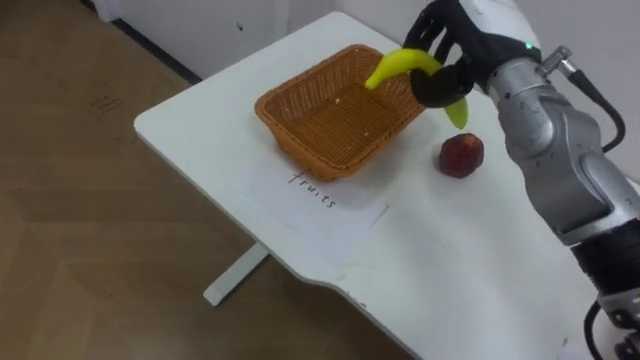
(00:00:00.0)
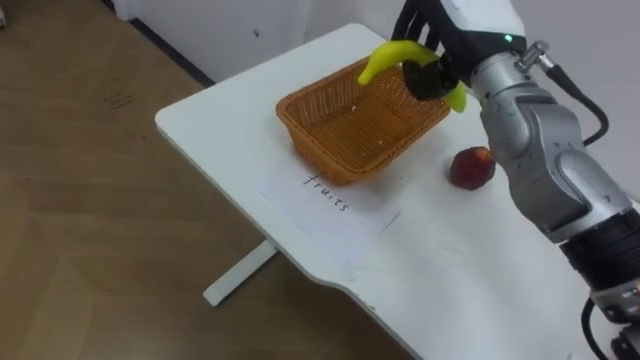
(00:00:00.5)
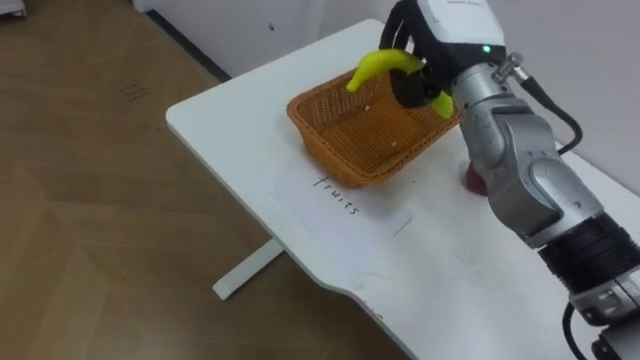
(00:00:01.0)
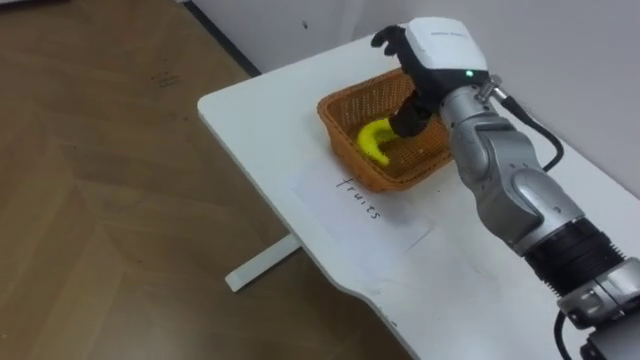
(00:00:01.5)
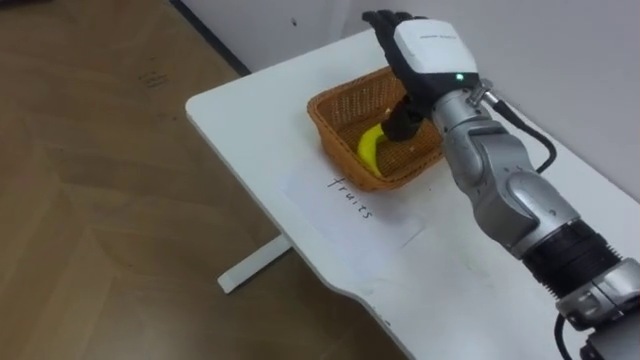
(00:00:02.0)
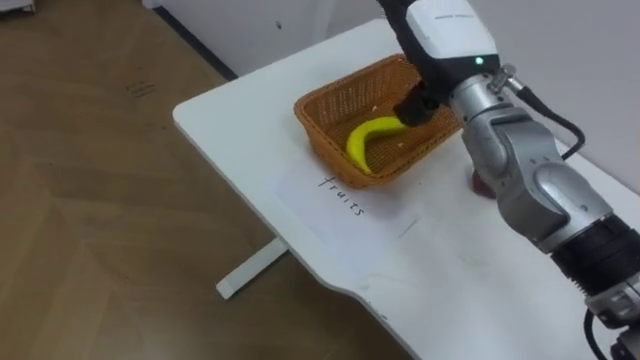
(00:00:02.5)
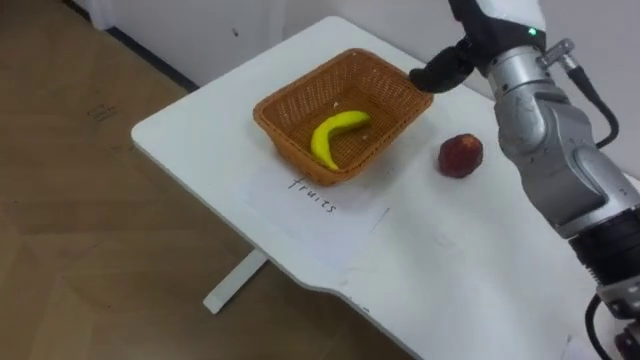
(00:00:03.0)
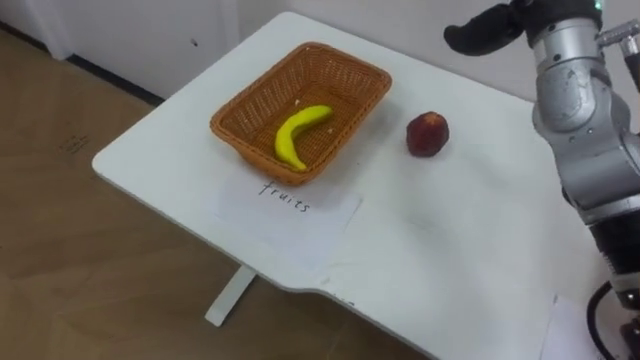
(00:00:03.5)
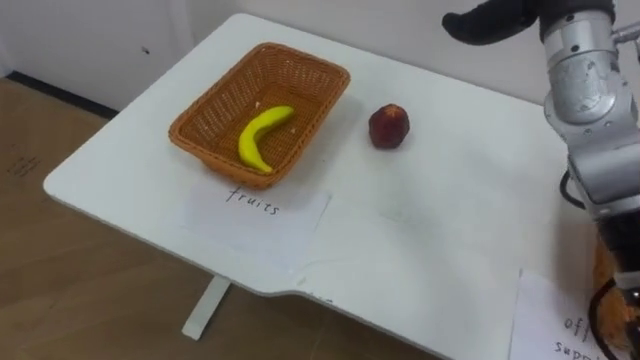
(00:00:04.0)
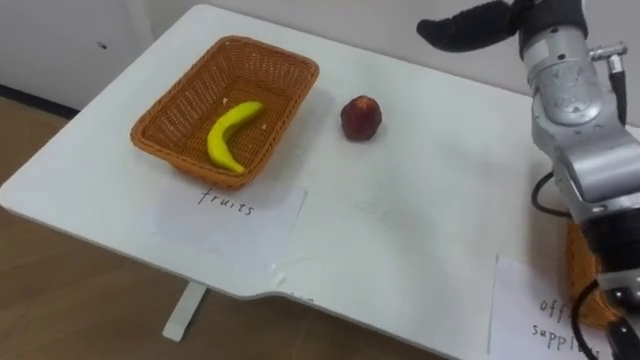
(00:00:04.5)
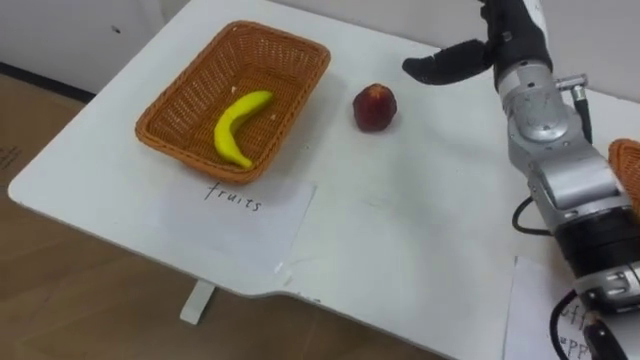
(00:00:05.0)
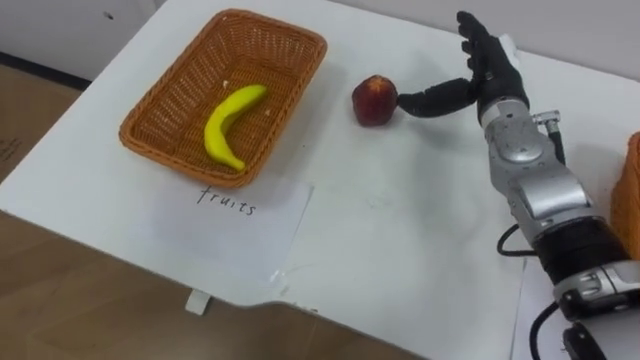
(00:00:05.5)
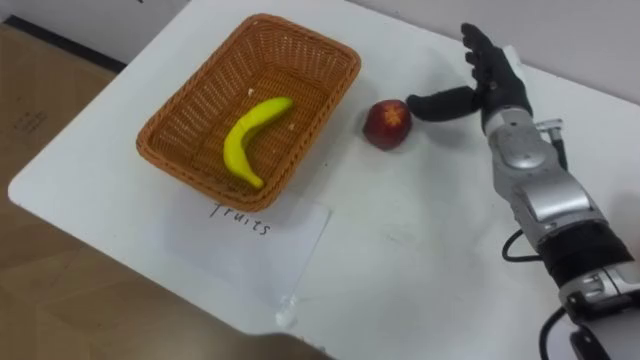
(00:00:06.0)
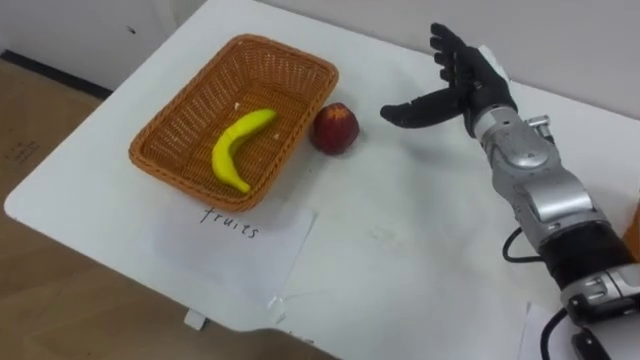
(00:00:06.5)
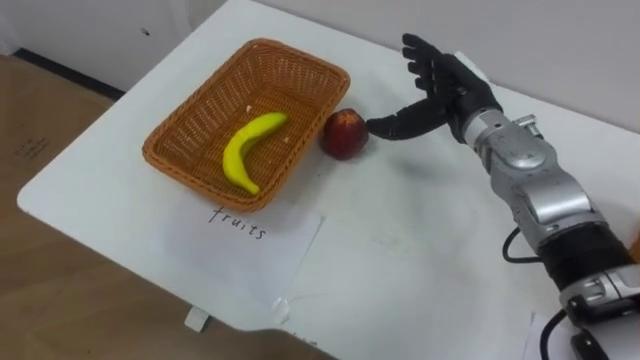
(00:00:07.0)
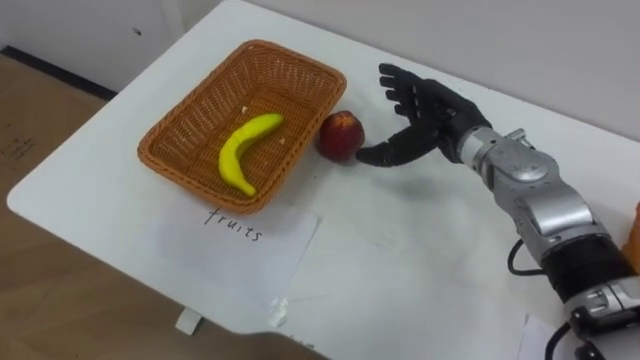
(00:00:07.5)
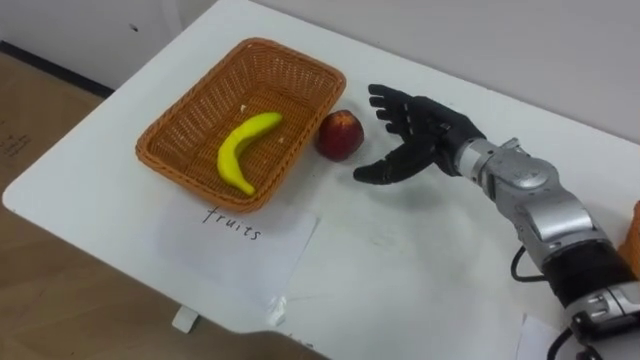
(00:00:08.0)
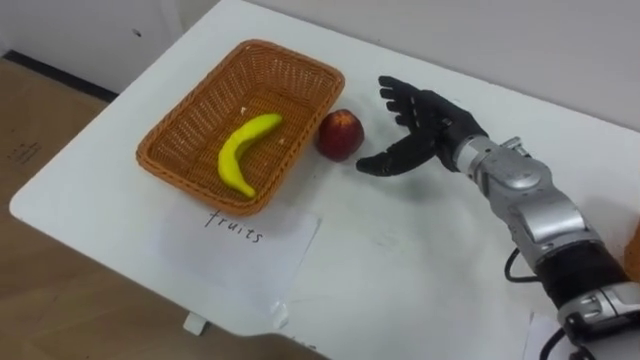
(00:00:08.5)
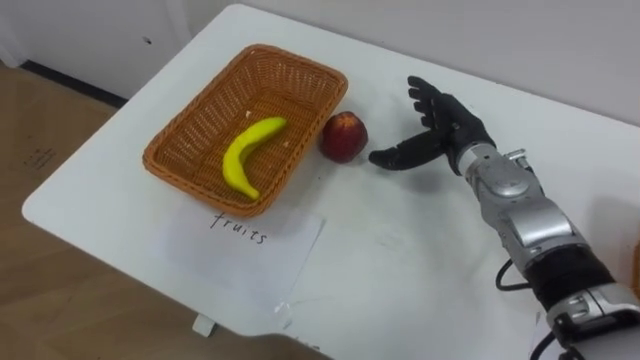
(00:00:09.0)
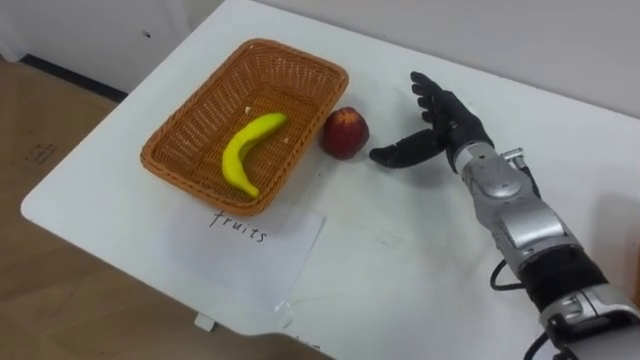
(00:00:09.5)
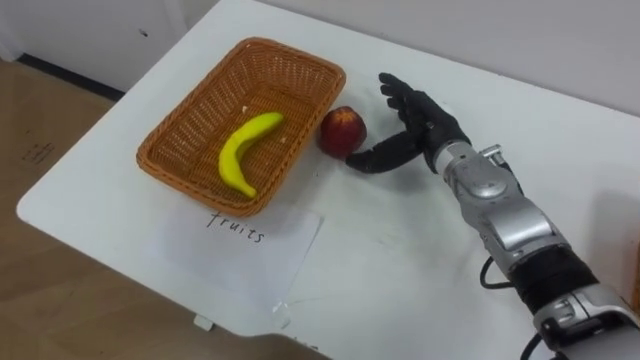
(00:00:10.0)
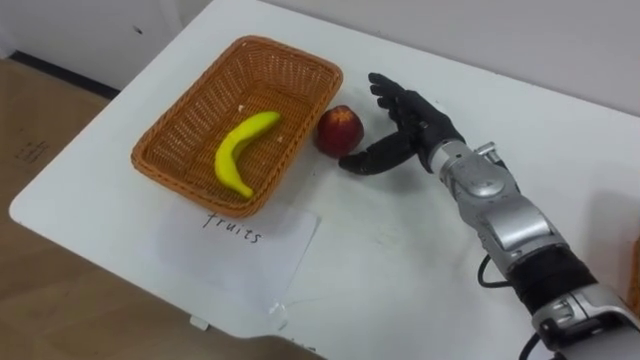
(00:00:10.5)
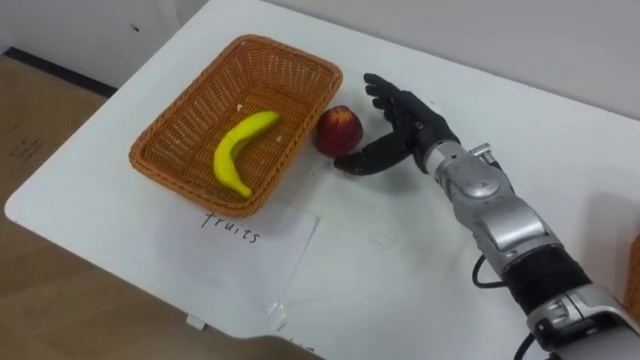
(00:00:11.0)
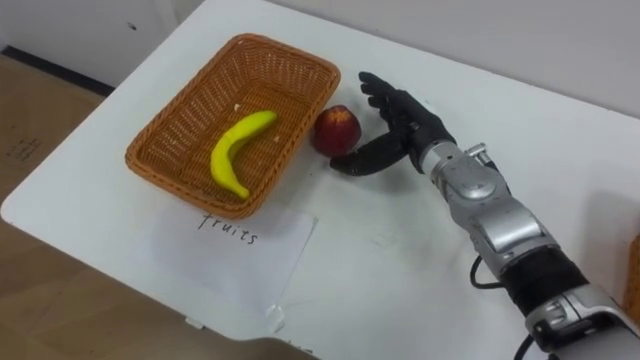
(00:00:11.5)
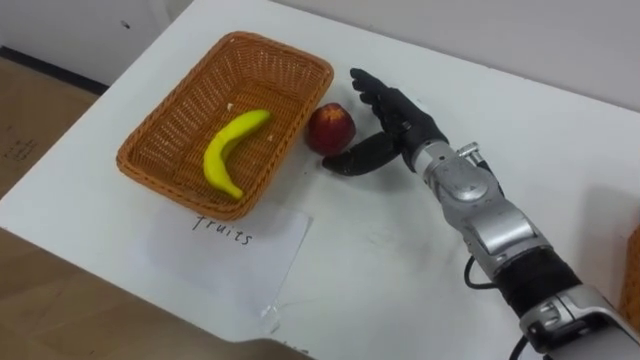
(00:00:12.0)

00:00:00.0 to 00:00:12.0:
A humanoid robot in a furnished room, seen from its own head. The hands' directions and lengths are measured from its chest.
Task of the whole recording: Separate the items on the table and place them into the two baskets.
00:00:00.0 to 00:00:02.0: The right hand heads to the left, covering approximately 5 cm, and opens its fingers.
00:00:06.0 to 00:00:08.0: The right hand is displaced to the left by some 5 cm.

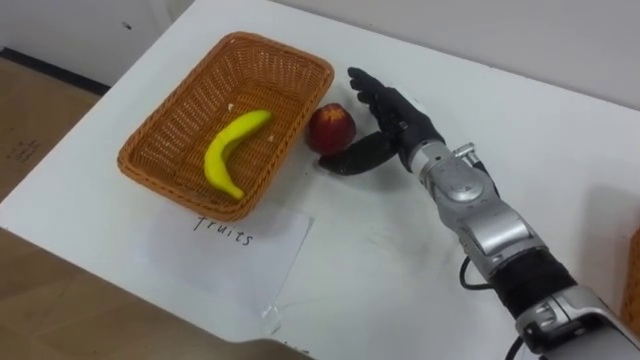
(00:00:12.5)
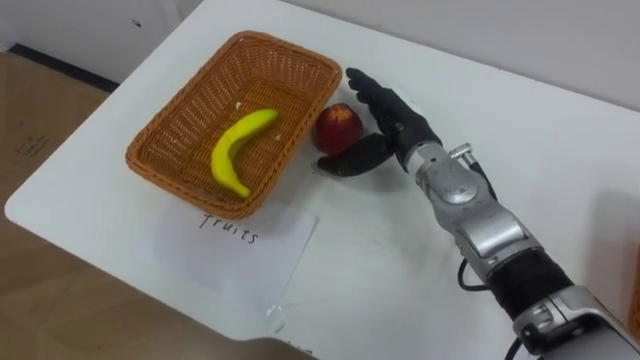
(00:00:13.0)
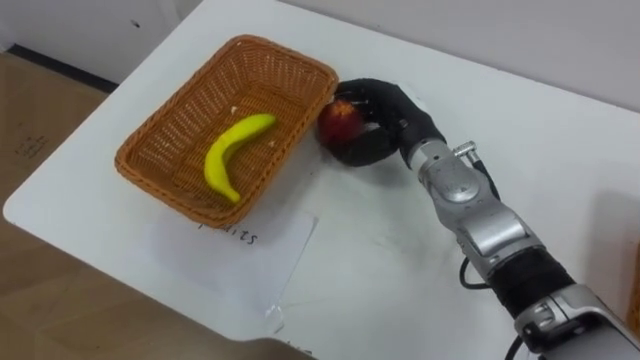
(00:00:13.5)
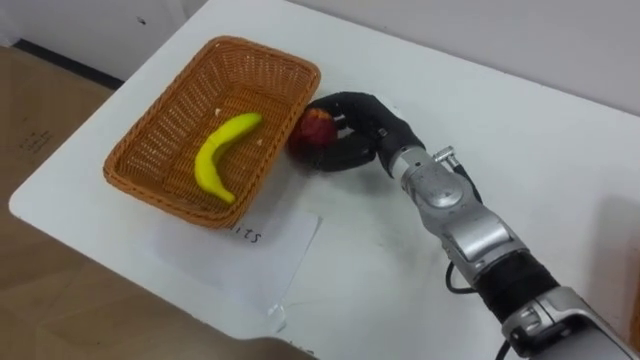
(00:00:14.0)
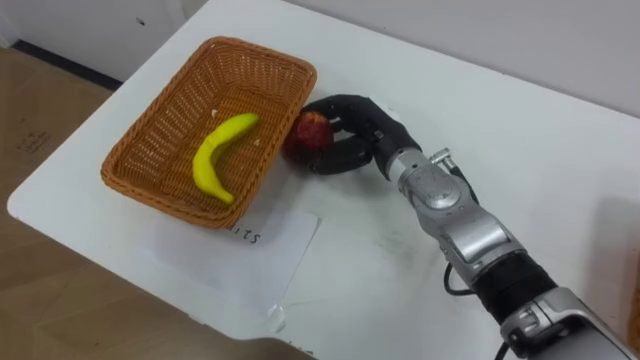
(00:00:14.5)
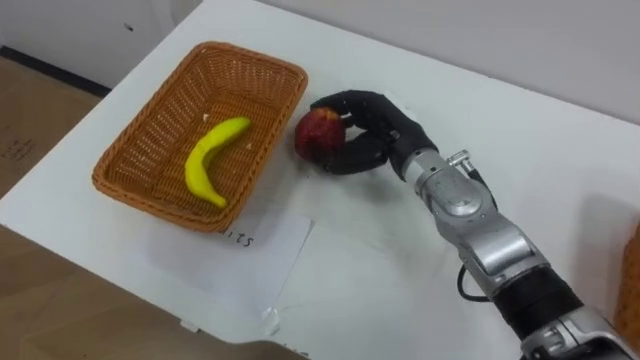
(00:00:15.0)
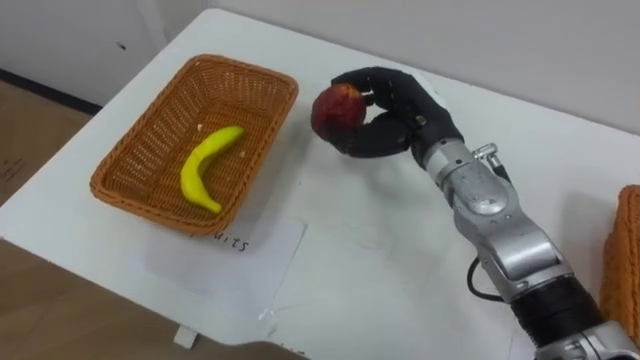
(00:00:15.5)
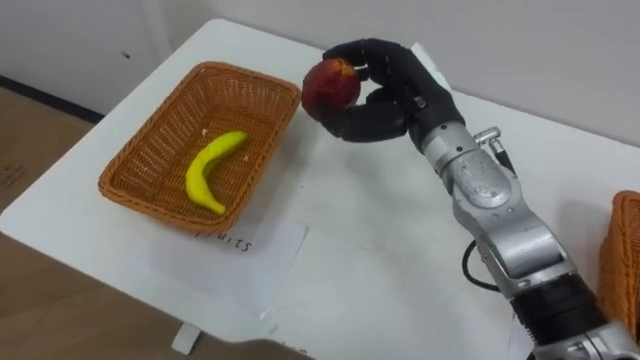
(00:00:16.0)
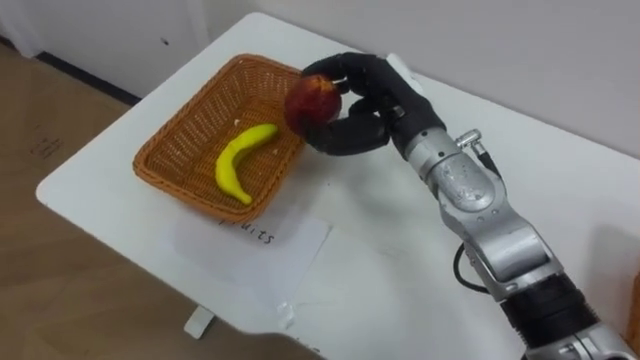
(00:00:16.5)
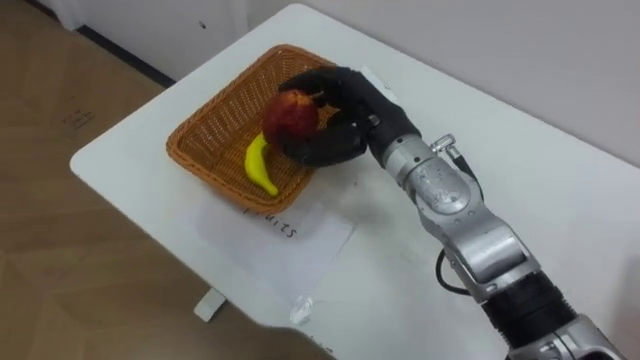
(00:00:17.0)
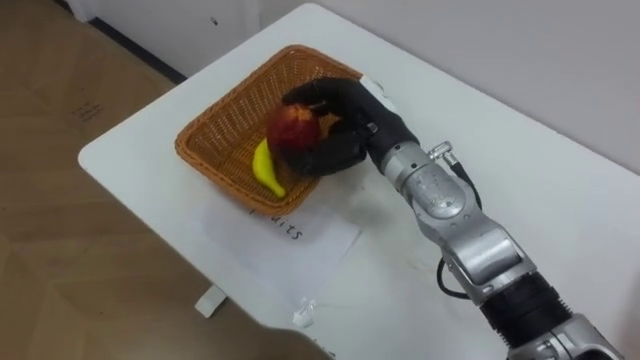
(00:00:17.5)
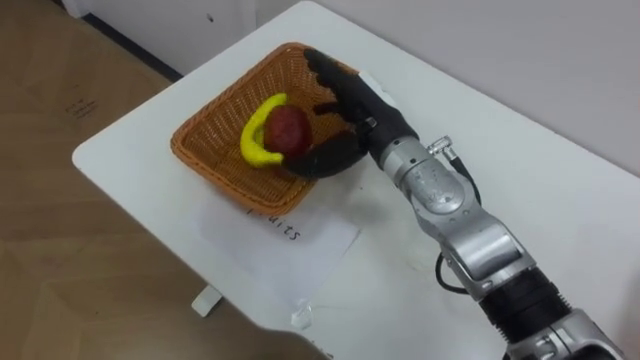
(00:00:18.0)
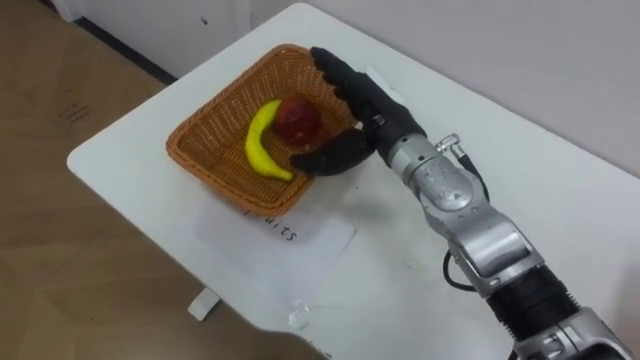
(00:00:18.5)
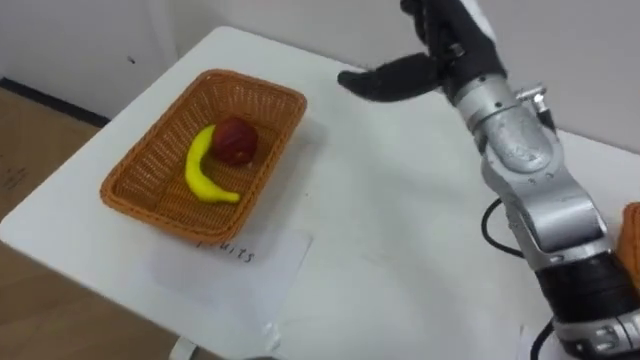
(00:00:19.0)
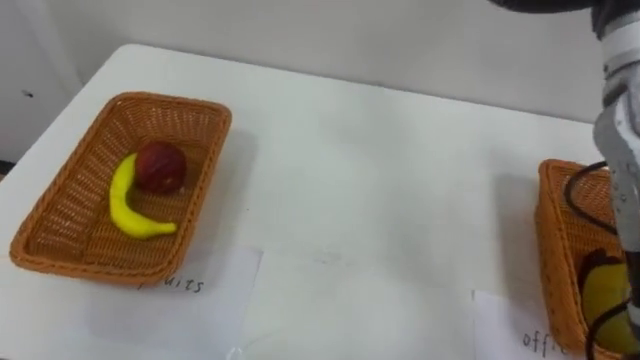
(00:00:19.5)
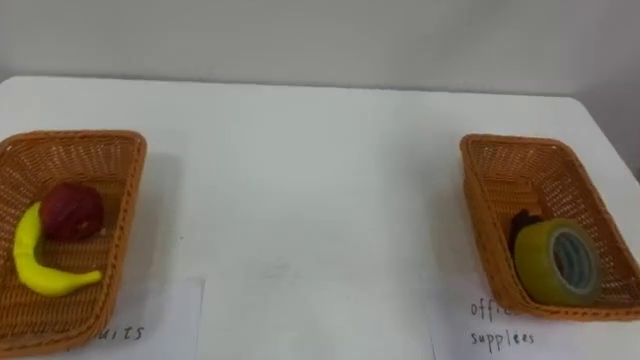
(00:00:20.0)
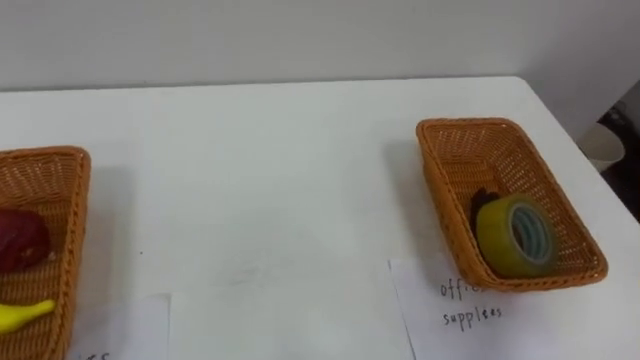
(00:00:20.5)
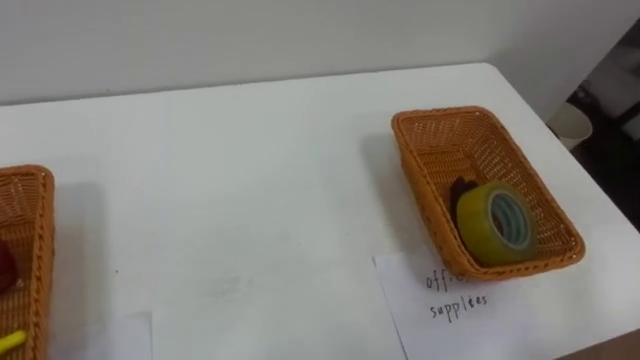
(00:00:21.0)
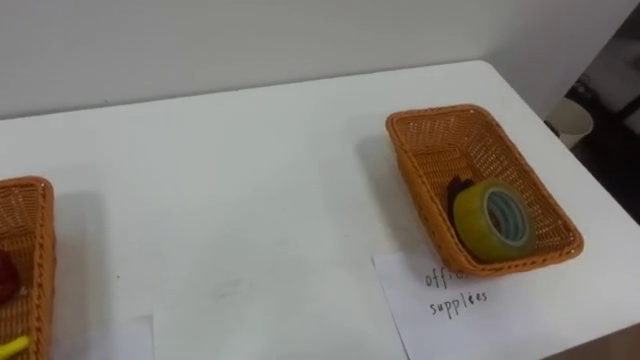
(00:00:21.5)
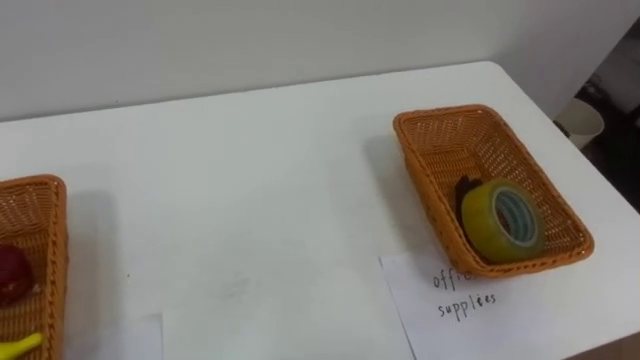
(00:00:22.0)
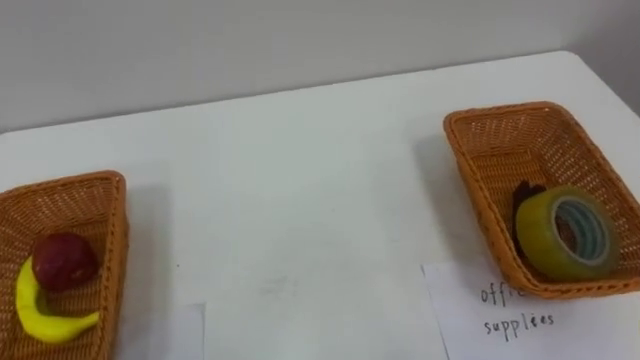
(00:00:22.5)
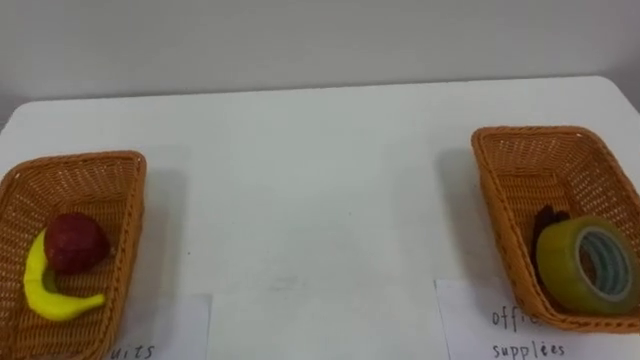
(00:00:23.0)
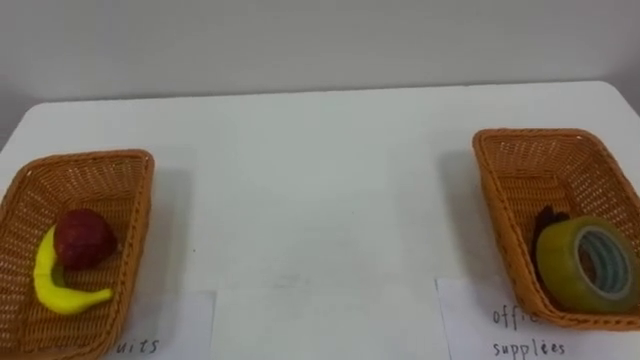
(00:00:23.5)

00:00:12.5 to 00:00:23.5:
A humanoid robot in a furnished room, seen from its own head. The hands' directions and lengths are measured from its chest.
Task of the whole recording: Separate the items on the table and place them into the two baskets.
00:00:12.5 to 00:00:14.5: The right hand closes its fingers.
00:00:14.5 to 00:00:16.0: The right hand goes about 5 cm upward.
00:00:16.0 to 00:00:18.0: The right hand shifts by roughly 5 cm, and opens up.
